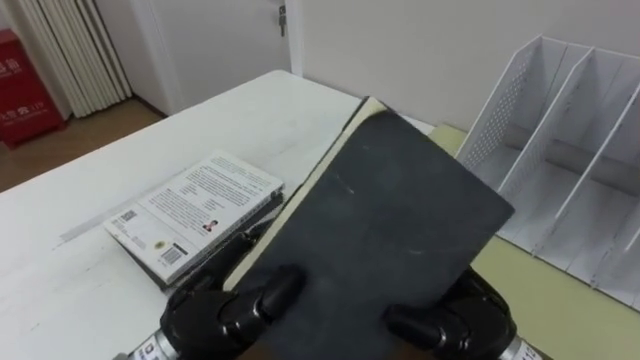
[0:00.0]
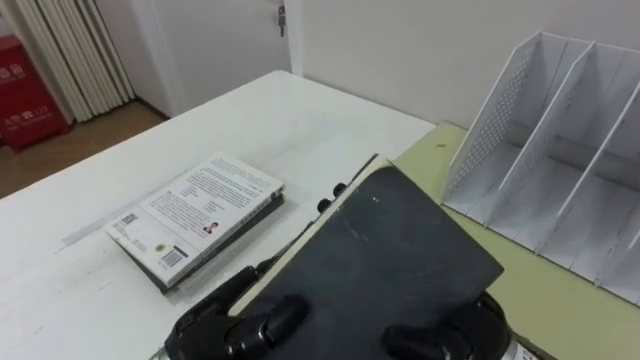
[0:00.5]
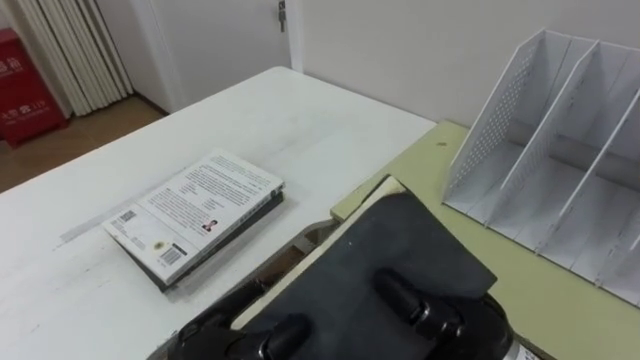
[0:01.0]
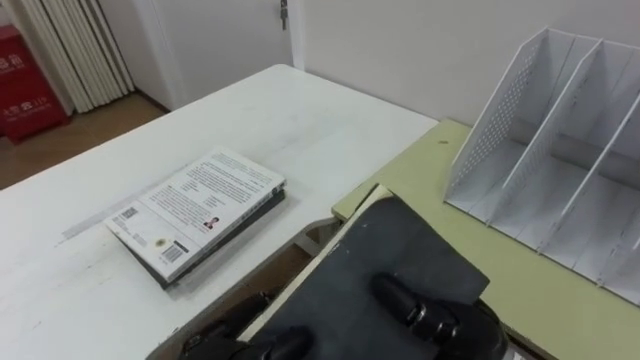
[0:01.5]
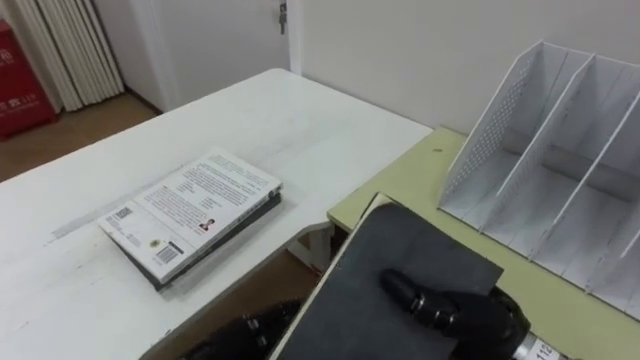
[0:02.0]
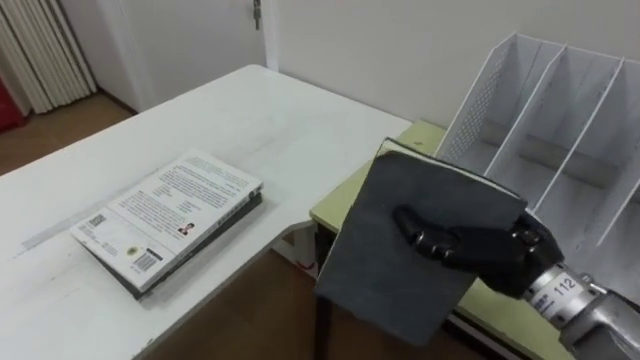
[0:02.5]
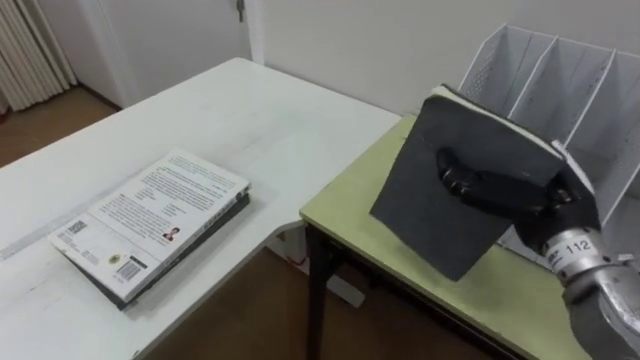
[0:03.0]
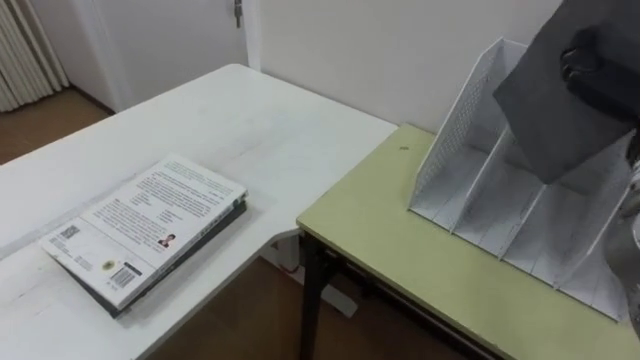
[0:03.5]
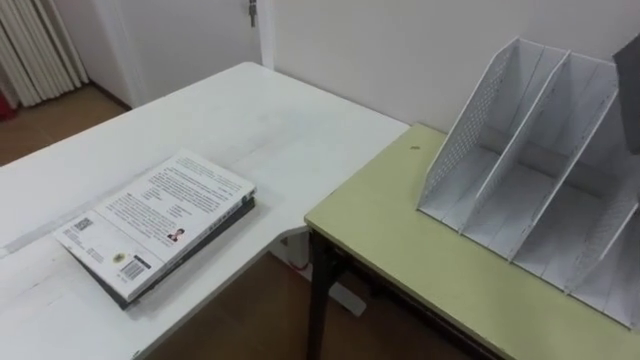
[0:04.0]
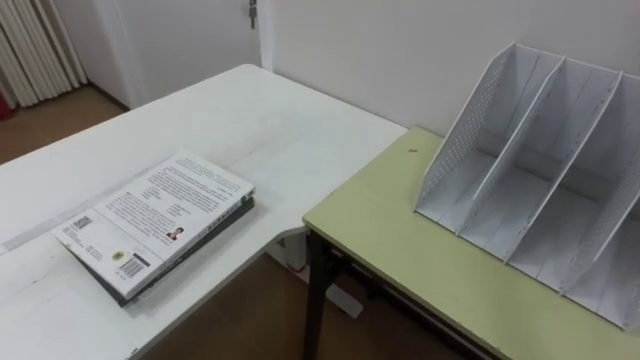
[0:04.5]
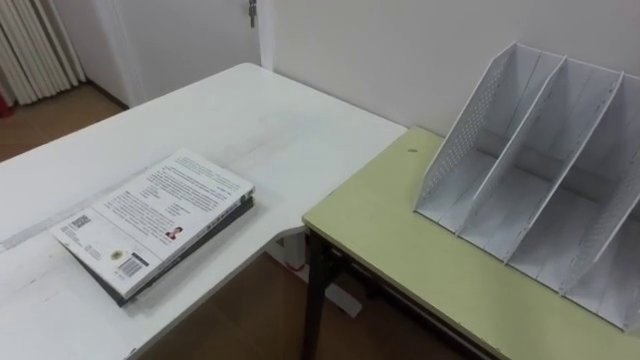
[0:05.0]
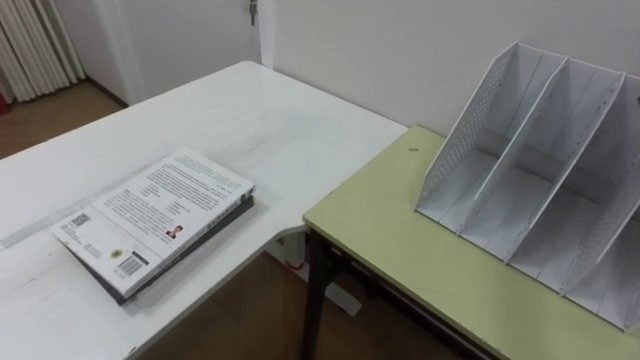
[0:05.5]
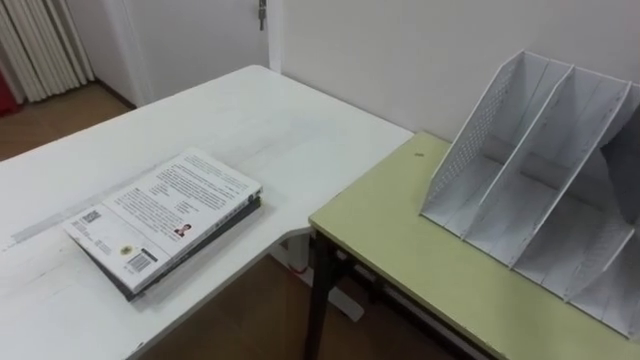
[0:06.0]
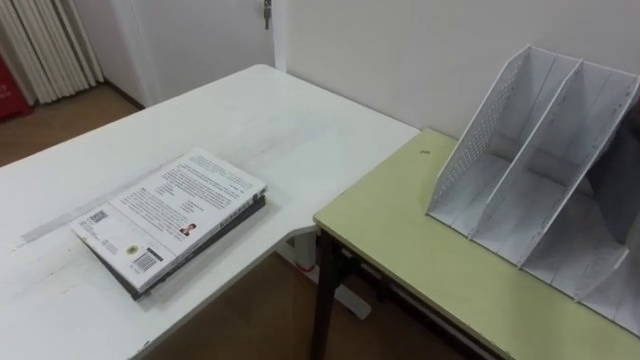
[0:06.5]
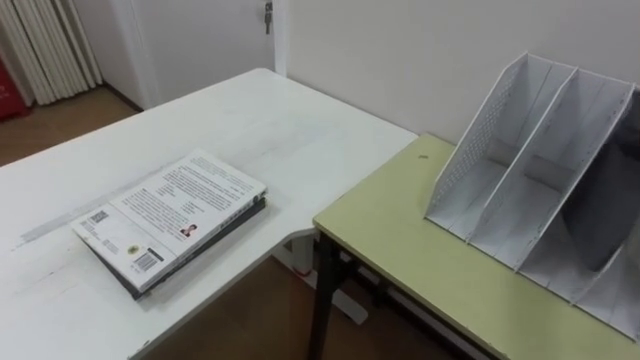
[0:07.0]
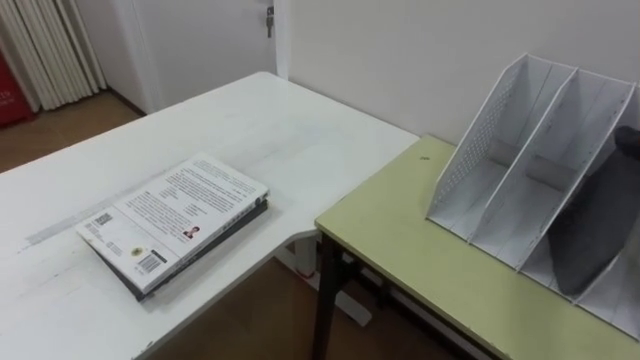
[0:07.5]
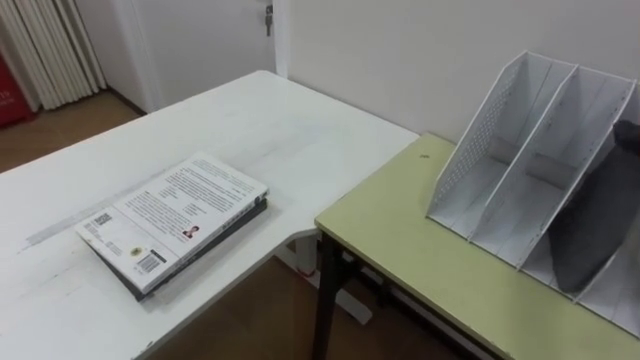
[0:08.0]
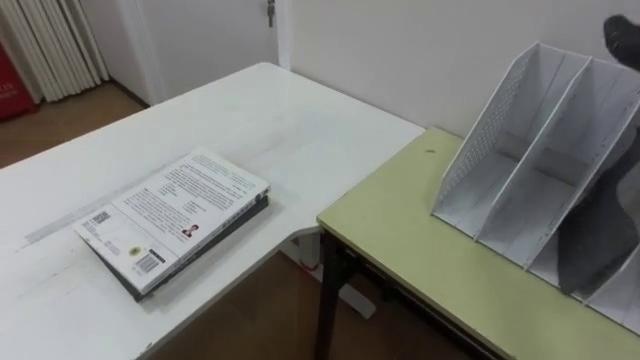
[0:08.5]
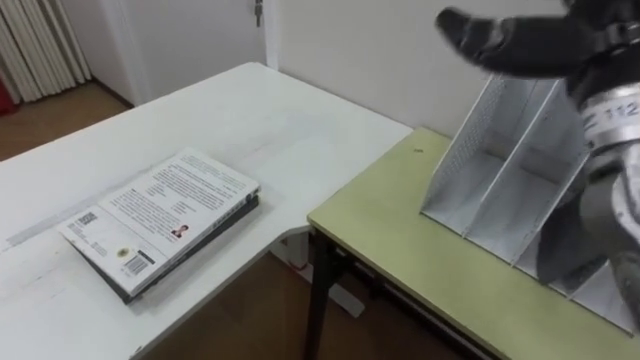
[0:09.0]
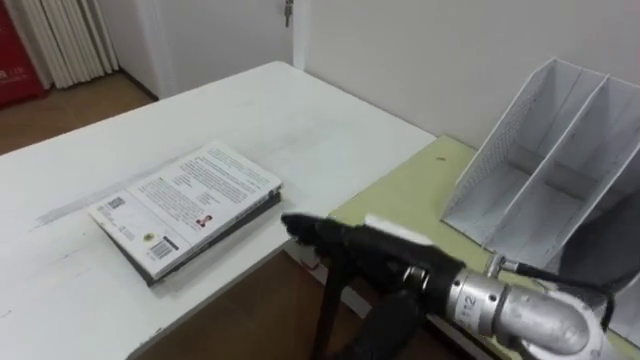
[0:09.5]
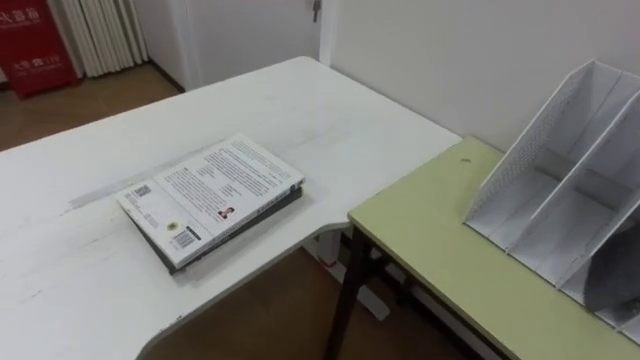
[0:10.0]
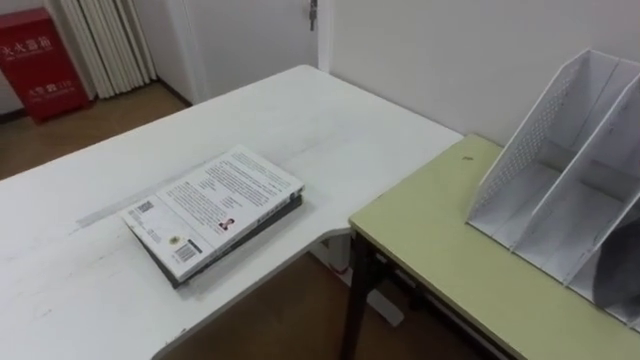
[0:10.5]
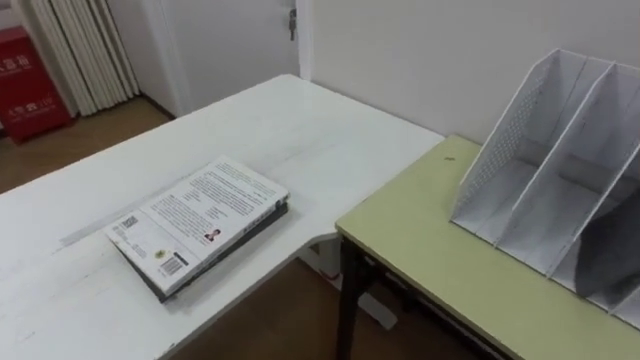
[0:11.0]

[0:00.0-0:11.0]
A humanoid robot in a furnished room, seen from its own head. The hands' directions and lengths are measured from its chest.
Task of the whole recording: Put the books on the table onto the bookshelf.
0:00.0 to 0:02.0: The right hand closes. The left hand heads downward, covering some 10 cm.

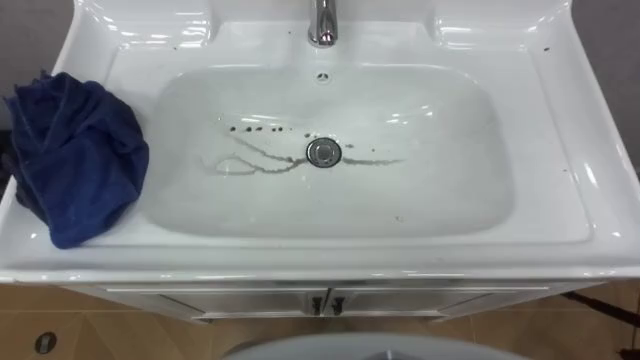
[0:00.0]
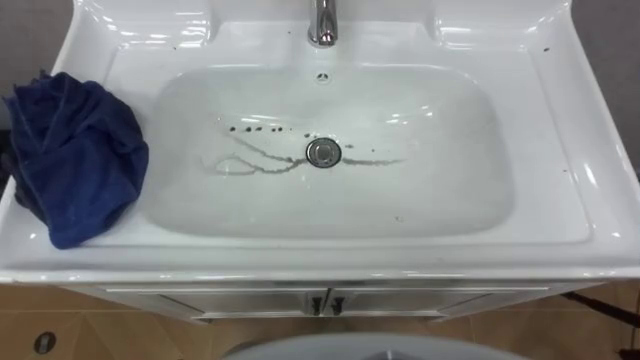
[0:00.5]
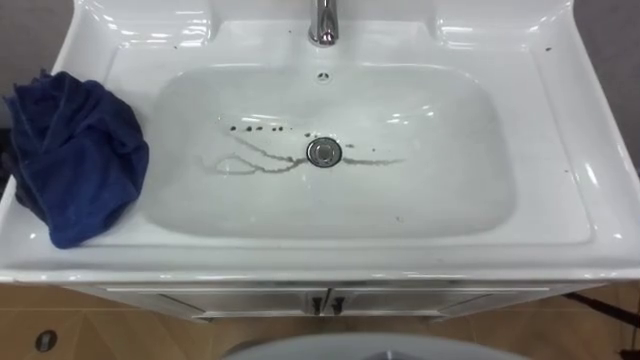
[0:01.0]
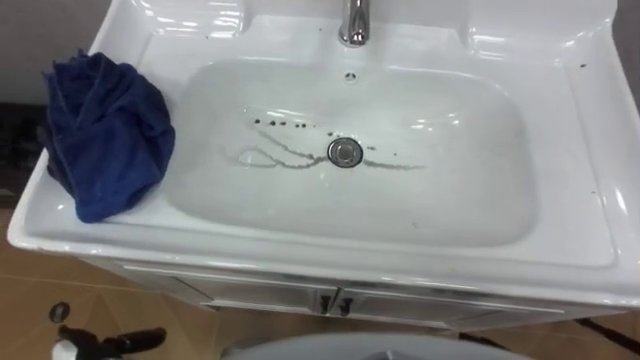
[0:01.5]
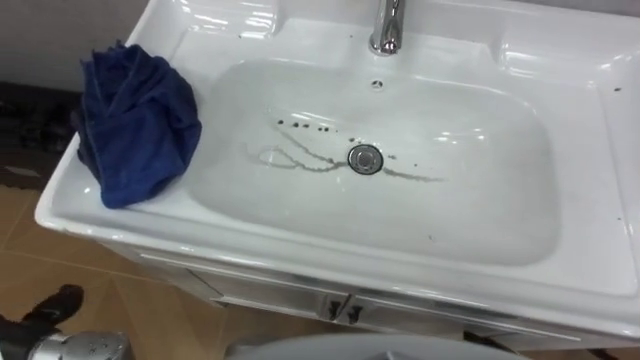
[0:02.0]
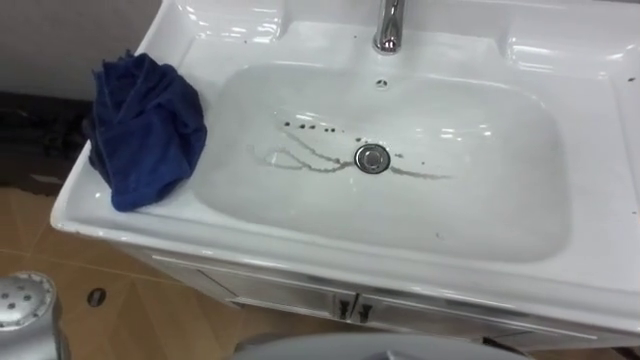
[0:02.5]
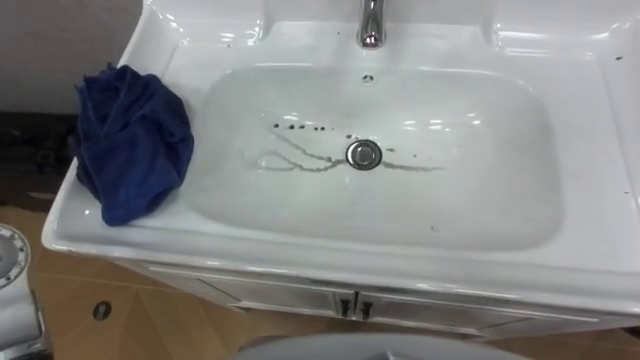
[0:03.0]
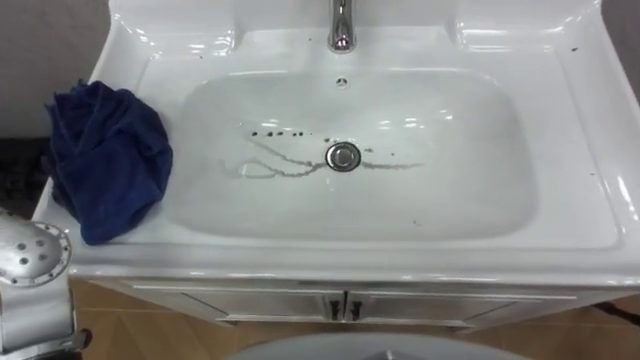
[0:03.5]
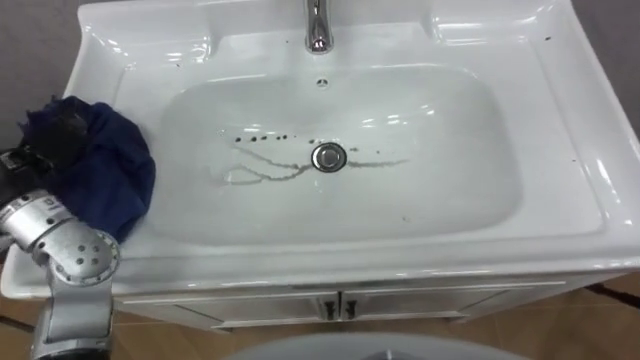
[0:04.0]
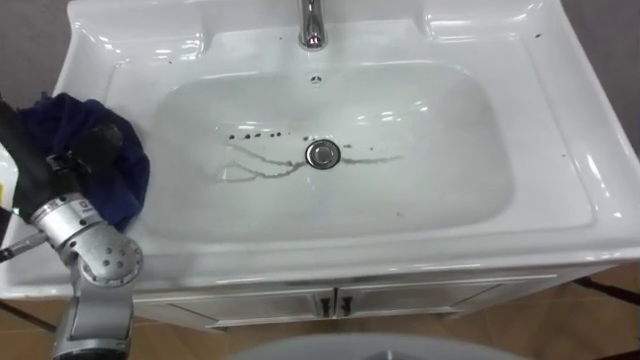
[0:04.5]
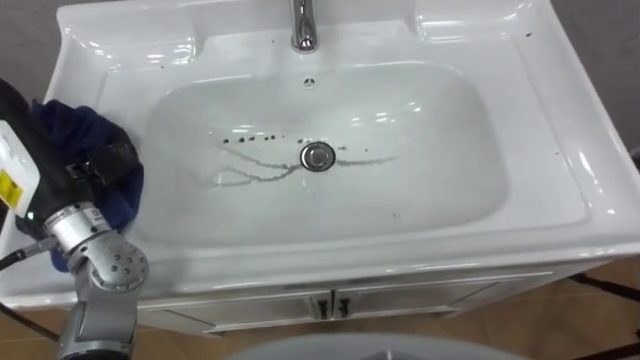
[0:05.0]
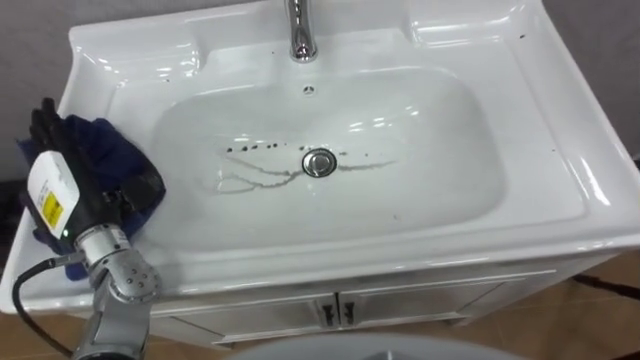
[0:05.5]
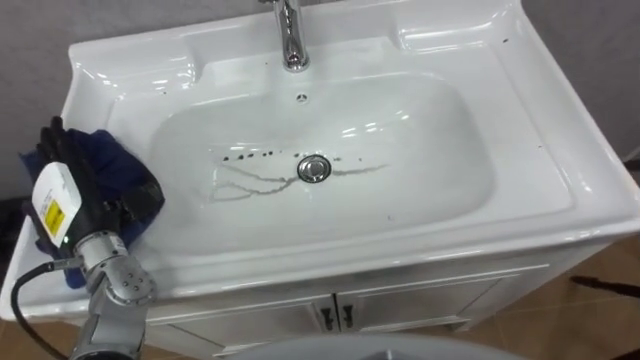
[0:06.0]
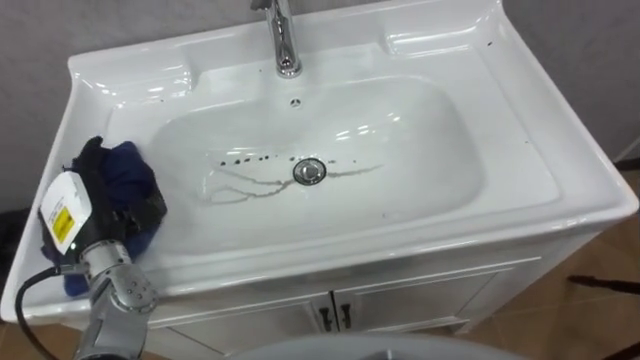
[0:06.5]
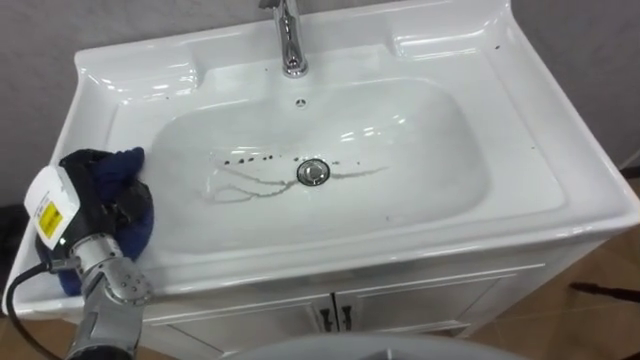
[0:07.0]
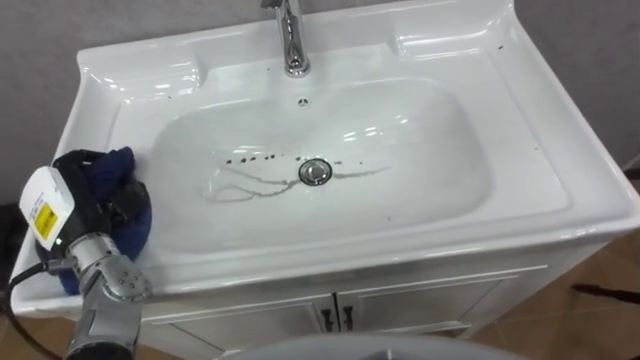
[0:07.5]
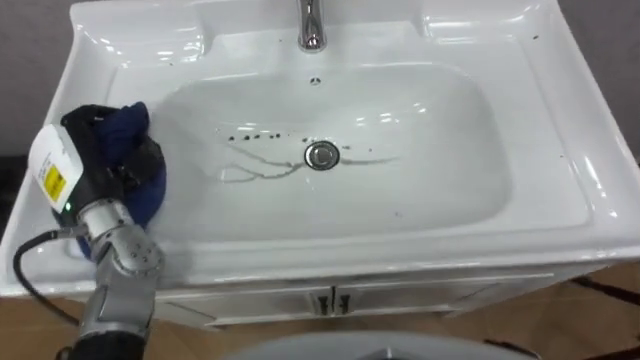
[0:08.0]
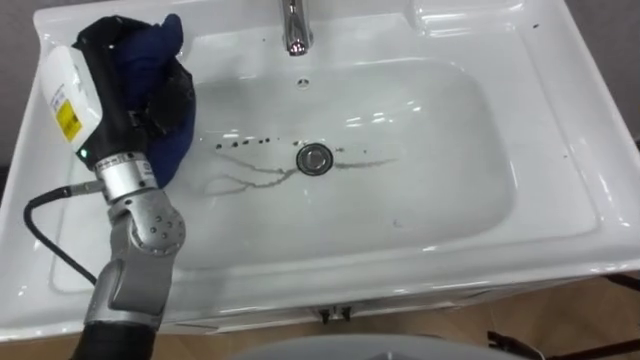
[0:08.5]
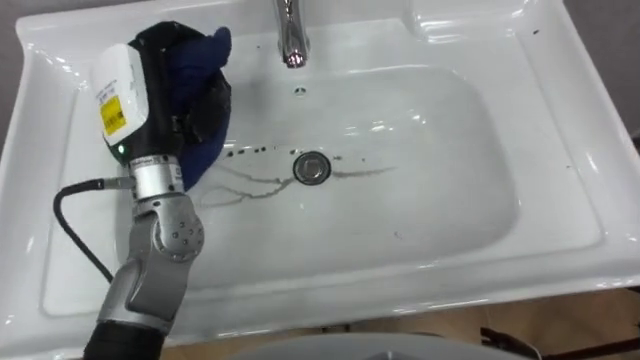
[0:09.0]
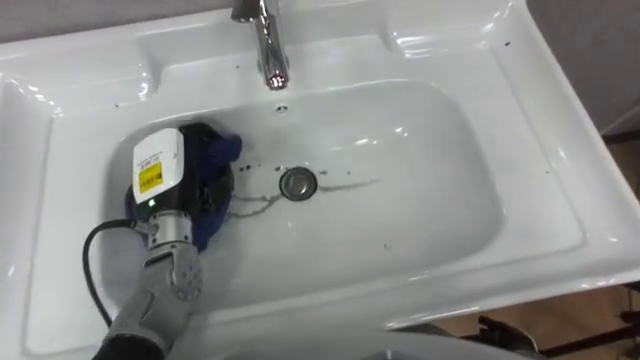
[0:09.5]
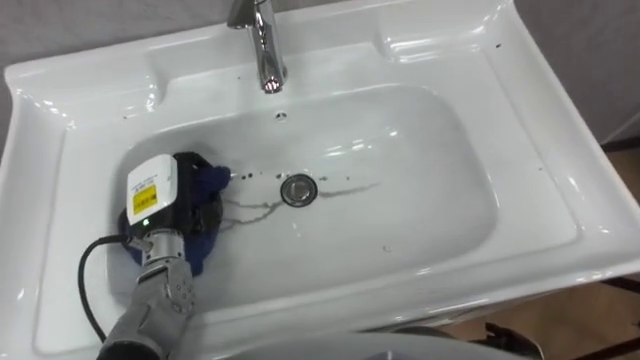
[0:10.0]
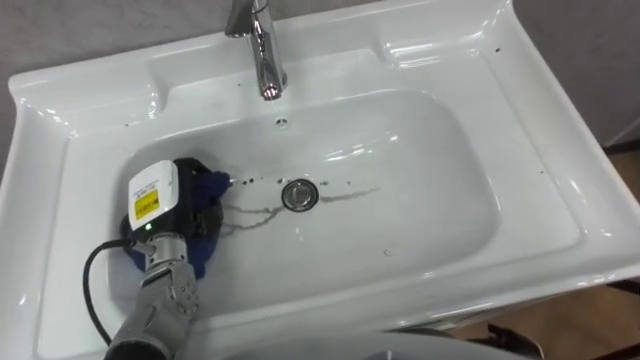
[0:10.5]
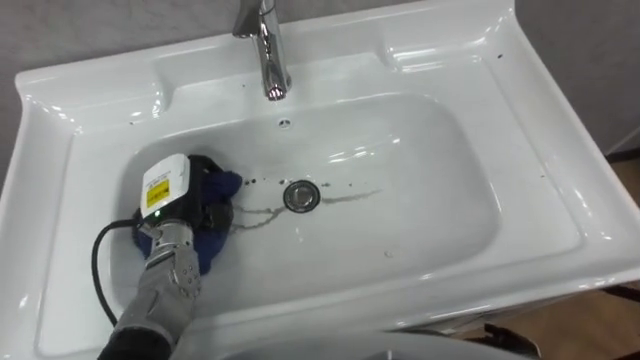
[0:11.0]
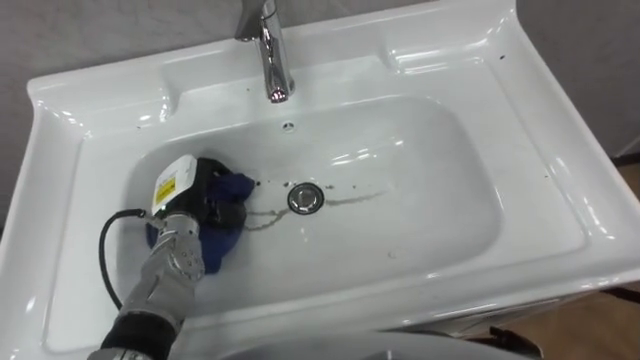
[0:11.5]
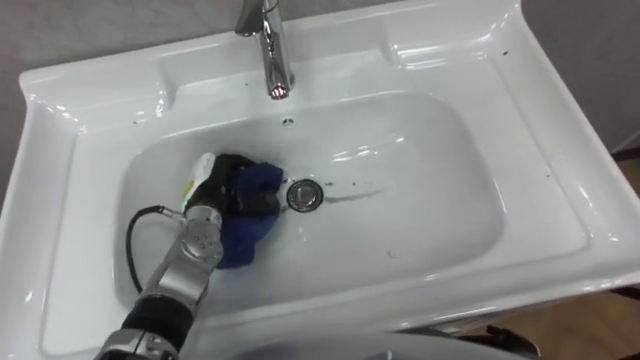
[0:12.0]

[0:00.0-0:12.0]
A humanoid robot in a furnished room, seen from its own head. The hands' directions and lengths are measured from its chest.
Task of the whole recording: Use the cloth on the right to wipe away the black stain in the sink.
0:06.0 to 0:08.0: The left hand ends up approximately 5 cm from where it was, and closes up.
0:08.0 to 0:10.0: The left hand heads to the right and downward, covering some 10 cm.
0:10.0 to 0:12.0: The left hand changes place by approximately 5 cm.
